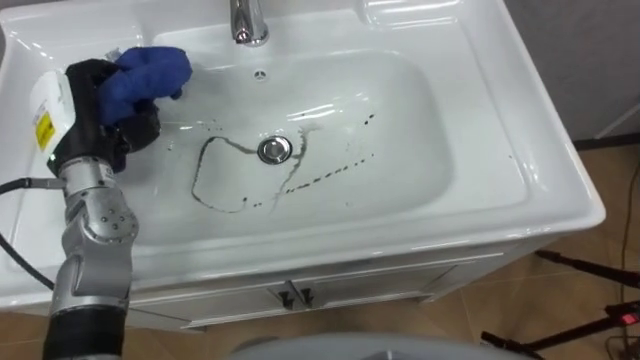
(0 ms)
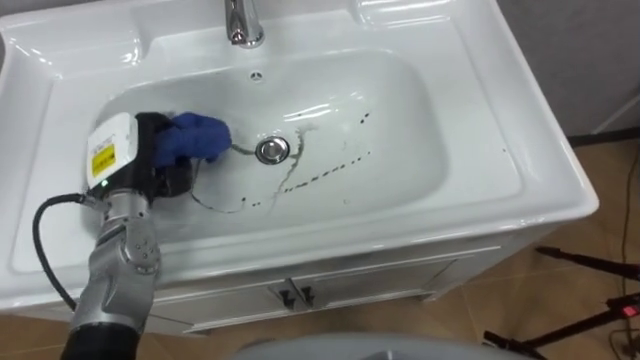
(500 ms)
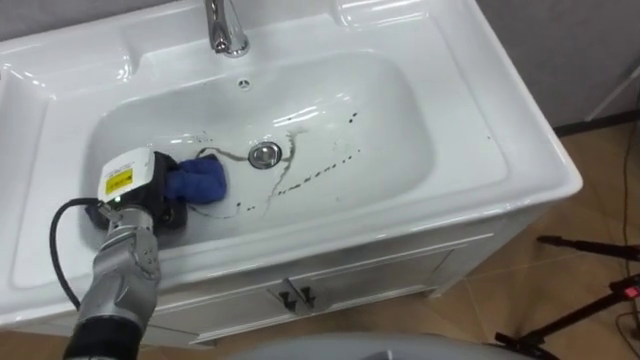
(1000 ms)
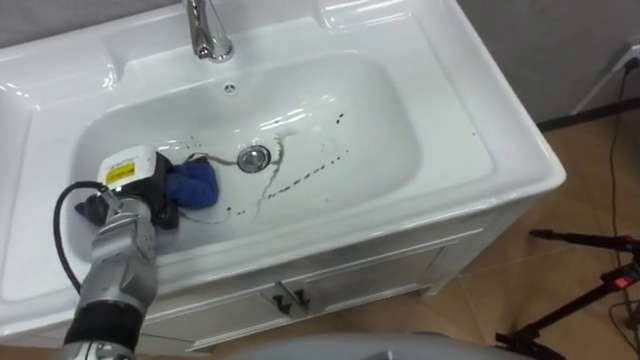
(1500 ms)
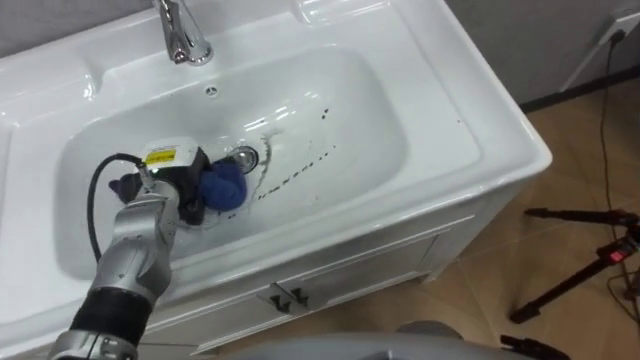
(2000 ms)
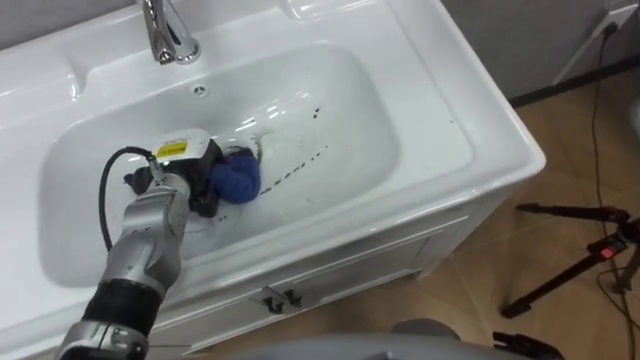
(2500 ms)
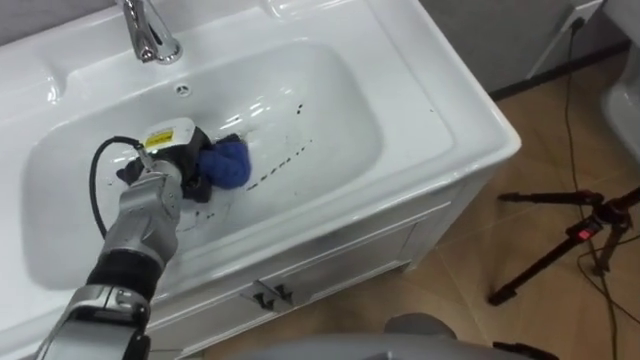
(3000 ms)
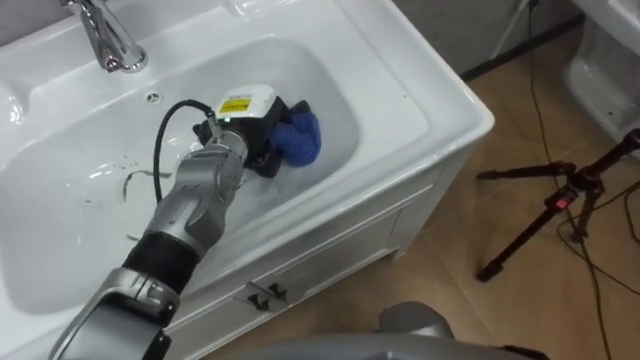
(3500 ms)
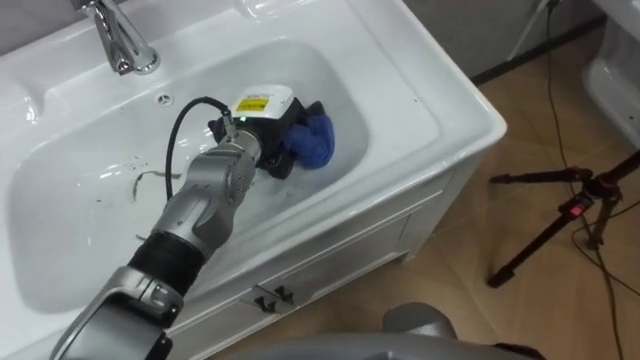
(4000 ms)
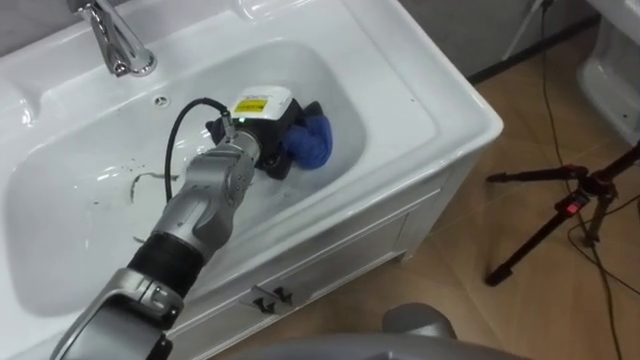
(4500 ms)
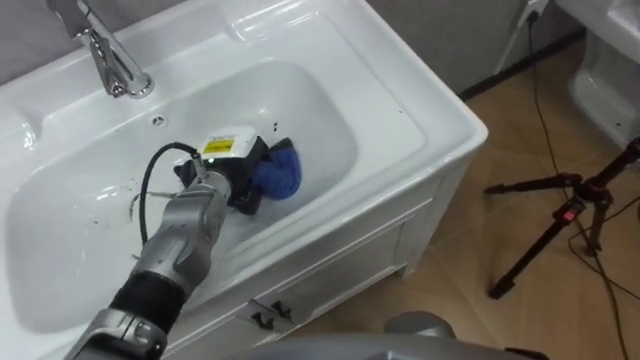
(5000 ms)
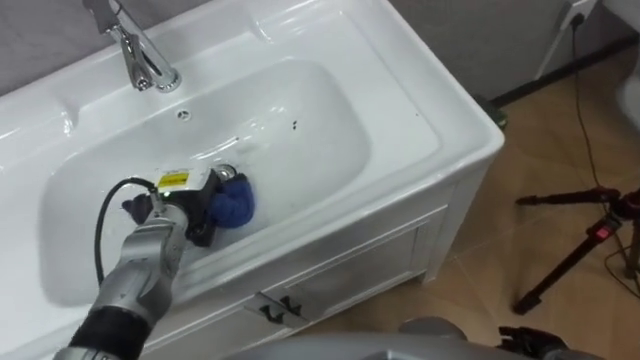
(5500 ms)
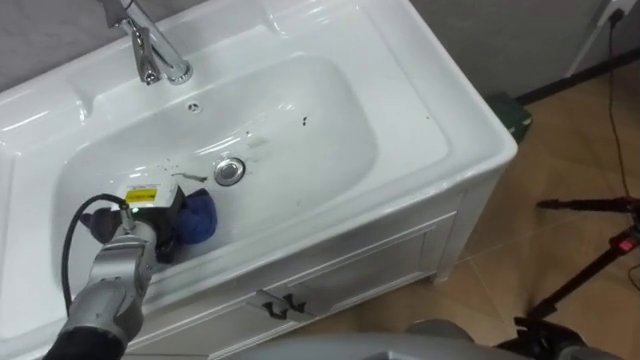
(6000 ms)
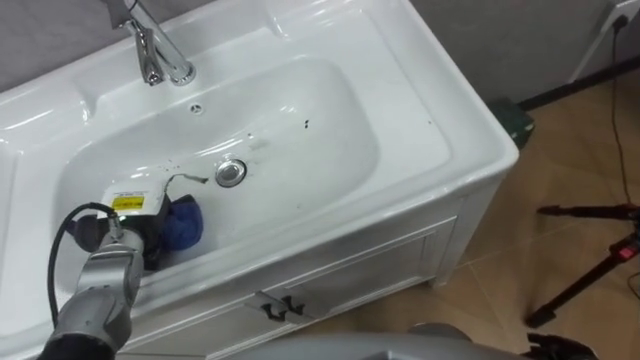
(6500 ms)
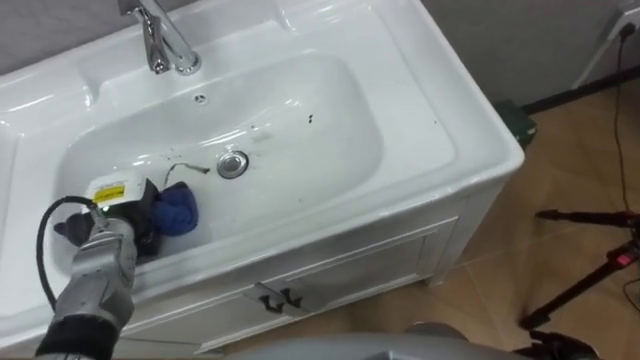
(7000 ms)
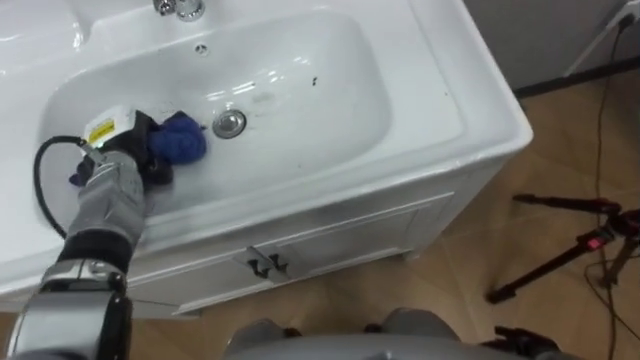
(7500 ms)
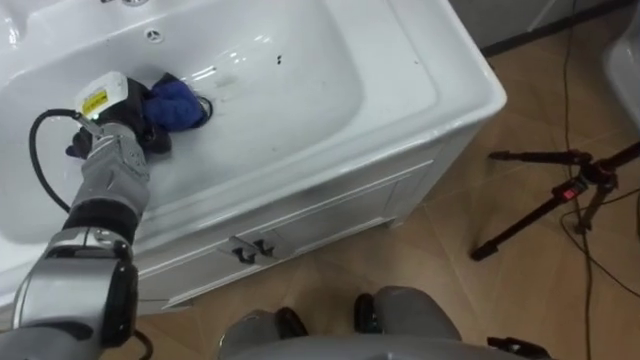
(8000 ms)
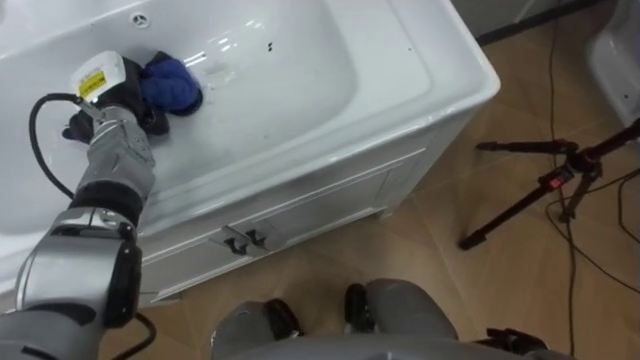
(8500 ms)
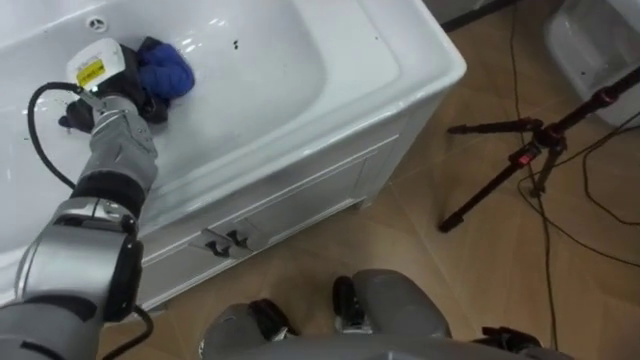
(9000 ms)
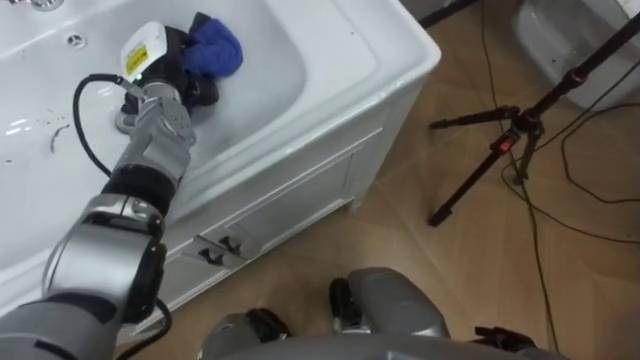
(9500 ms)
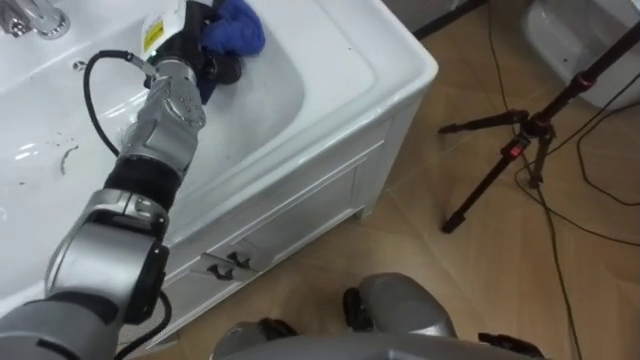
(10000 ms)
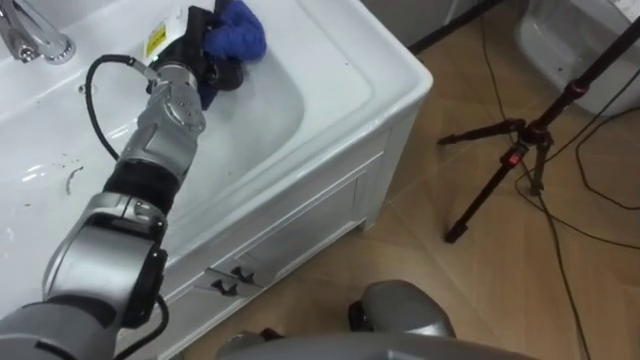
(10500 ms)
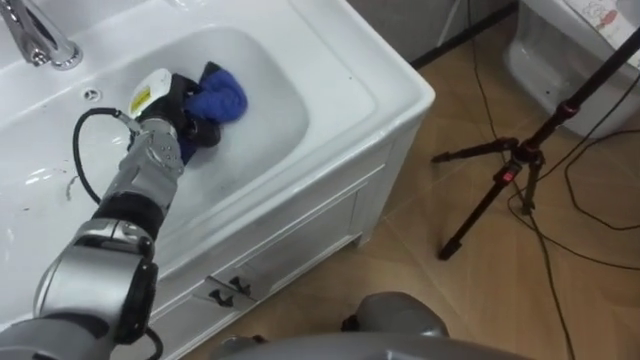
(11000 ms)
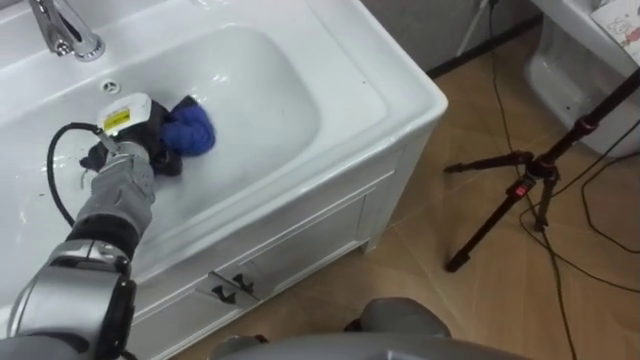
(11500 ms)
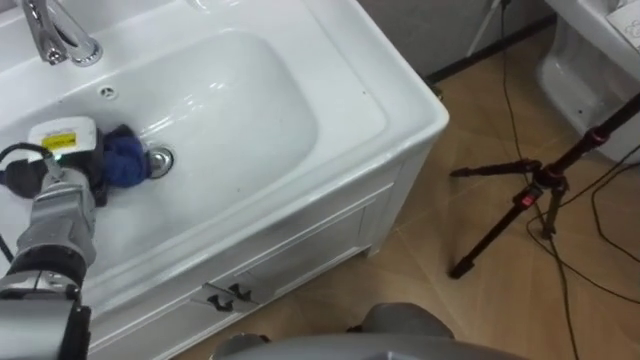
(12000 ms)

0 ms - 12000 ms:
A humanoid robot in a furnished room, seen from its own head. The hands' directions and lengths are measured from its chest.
Task of the whole recording: Use the cloth on the right to wipe away the black stain in the sink.
0 ms - 2000 ms: The left hand shifts about 15 cm downward and to the right.
2000 ms - 4000 ms: The left hand travels to the right by about 15 cm.
4000 ms - 6000 ms: The left hand heads to the left, backward and downward, covering approximately 20 cm.
6000 ms - 8000 ms: The left hand shifts about 15 cm forward and upward.
8000 ms - 10000 ms: The left hand travels to the right, upward and forward by approximately 15 cm.
10000 ms - 12000 ms: The left hand goes approximately 20 cm to the left, backward and downward.

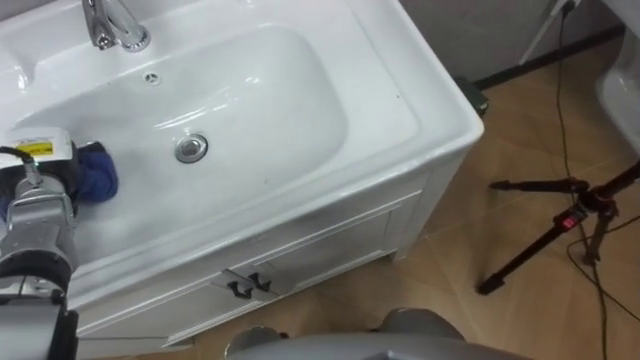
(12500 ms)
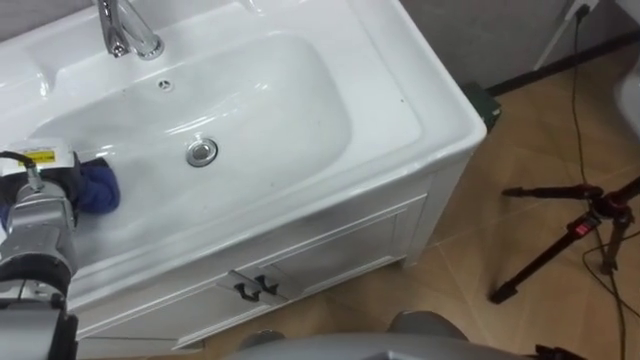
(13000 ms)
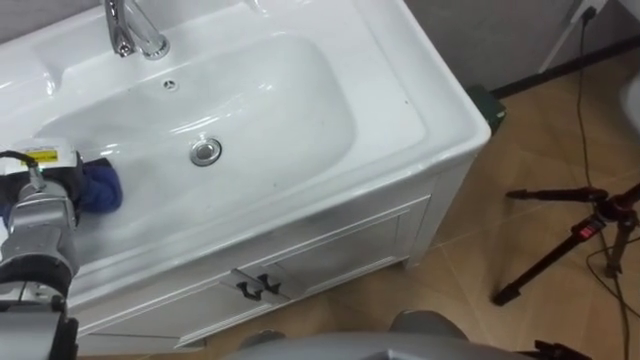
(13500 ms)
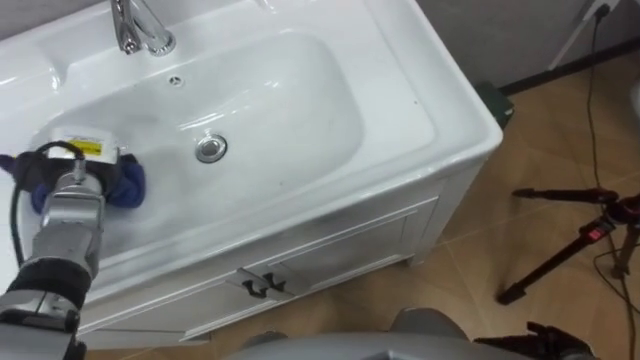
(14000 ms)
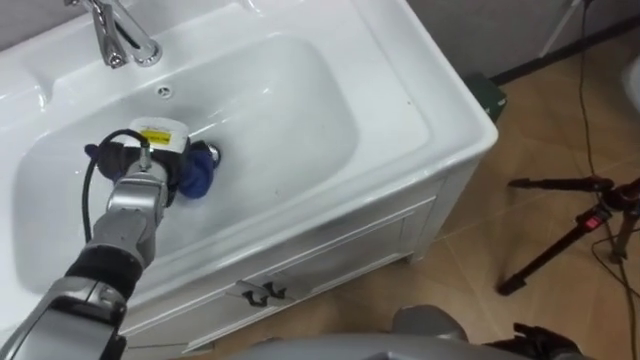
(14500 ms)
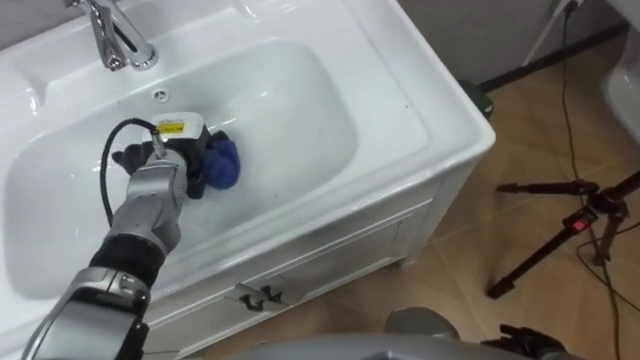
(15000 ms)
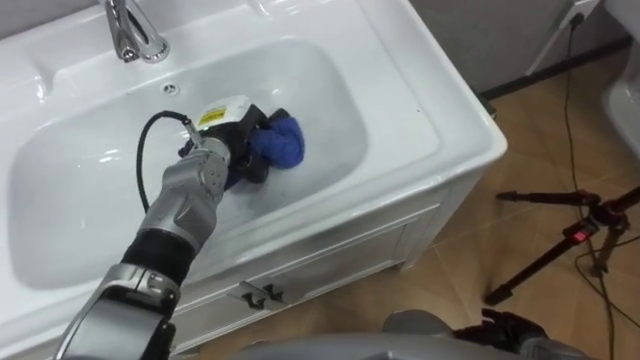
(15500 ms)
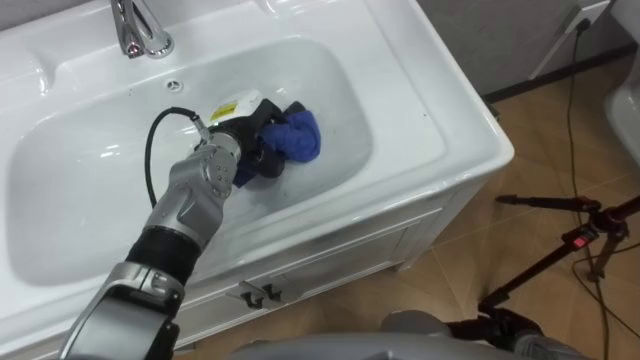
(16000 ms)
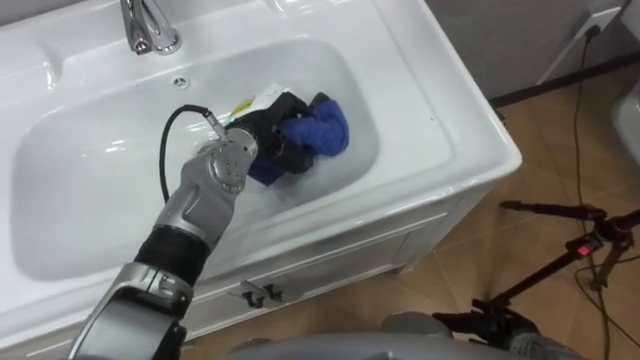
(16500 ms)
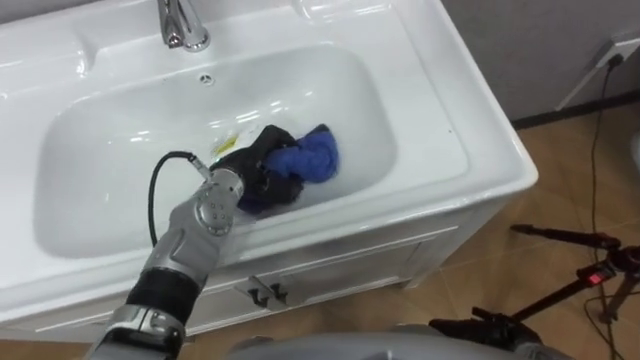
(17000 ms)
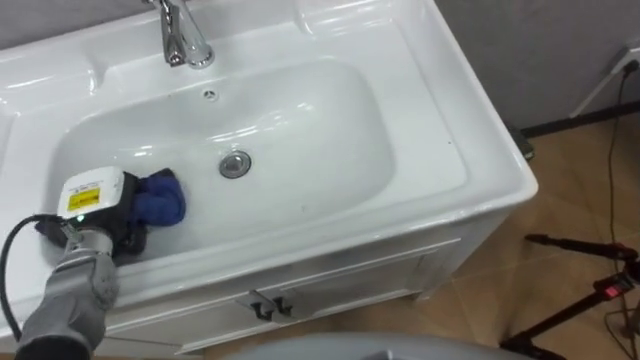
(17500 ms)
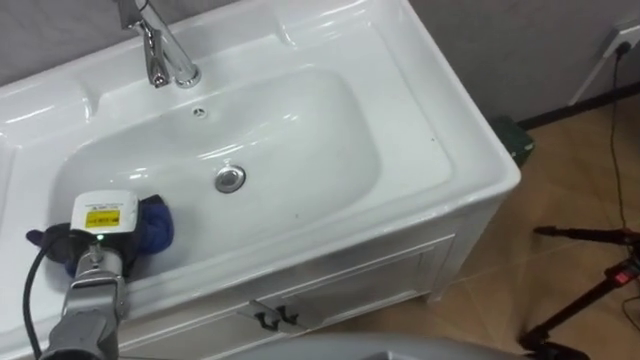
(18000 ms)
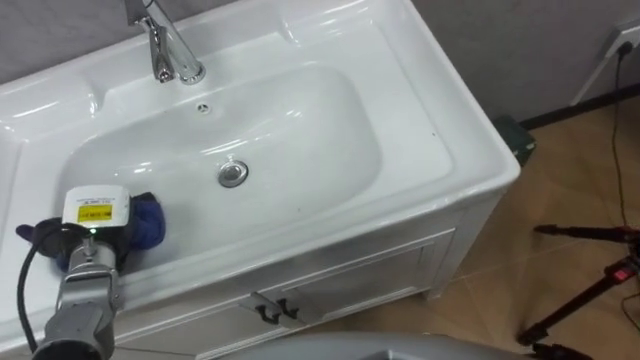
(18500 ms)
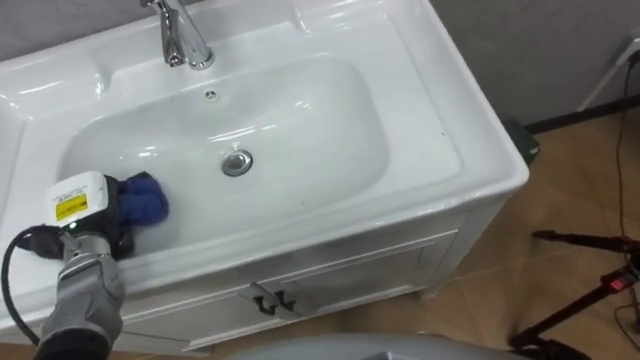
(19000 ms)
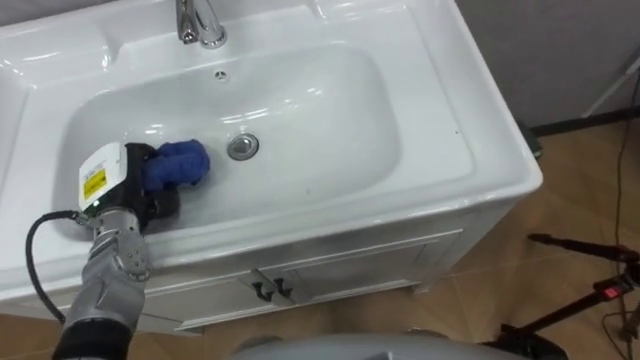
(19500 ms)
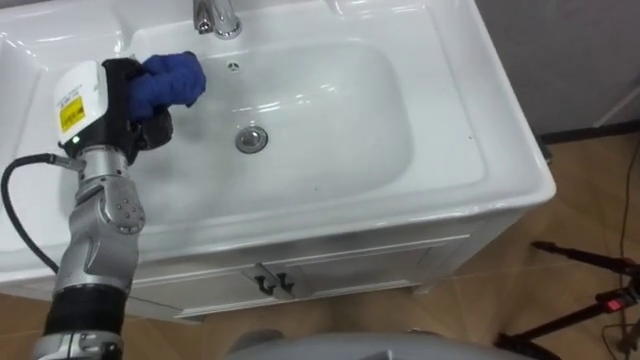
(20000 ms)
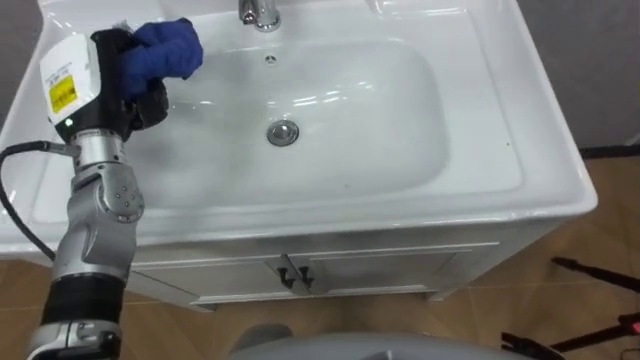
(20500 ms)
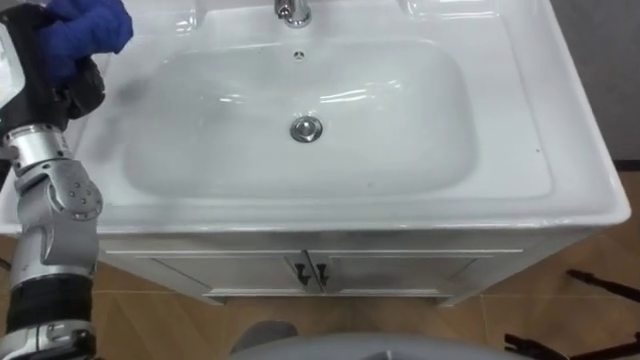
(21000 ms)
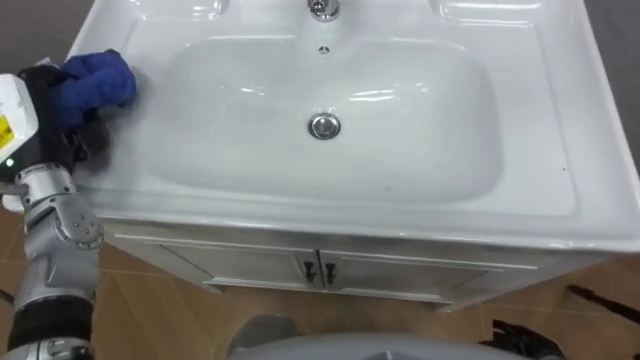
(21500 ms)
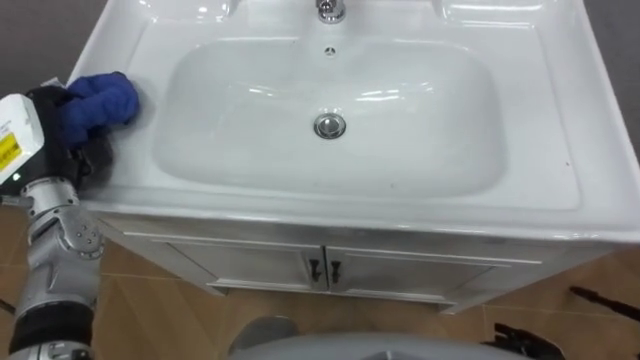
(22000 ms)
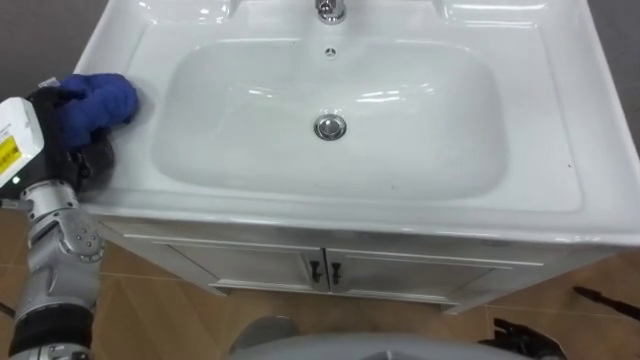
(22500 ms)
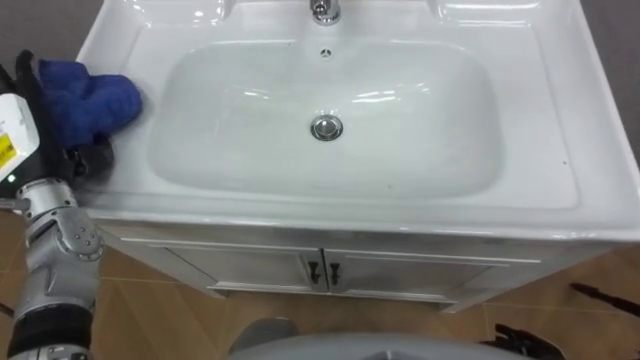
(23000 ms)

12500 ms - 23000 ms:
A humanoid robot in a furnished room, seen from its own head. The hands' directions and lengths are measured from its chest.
Task of the whole recording: Use the cloth on the right to wipe away the black stain in the sink.
12500 ms - 14500 ms: The left hand moves to the right, roughly 15 cm.
14500 ms - 16500 ms: The left hand is displaced to the right by about 15 cm.
16500 ms - 19000 ms: The left hand shifts approximately 25 cm to the left and backward.
19000 ms - 21000 ms: The left hand heads upward and forward, covering about 20 cm.
